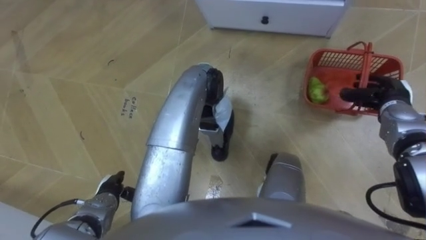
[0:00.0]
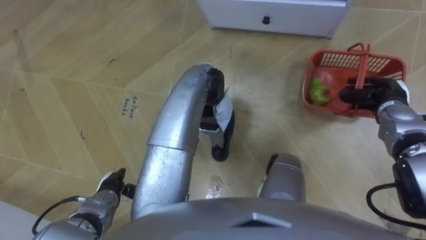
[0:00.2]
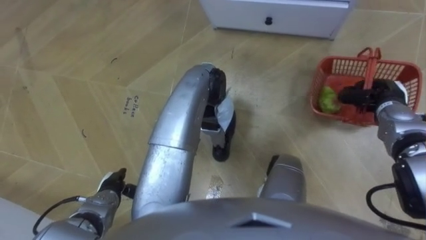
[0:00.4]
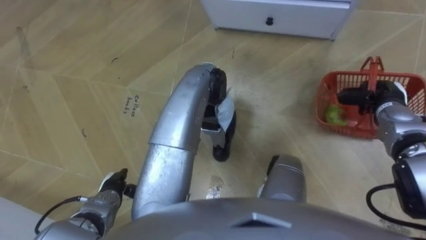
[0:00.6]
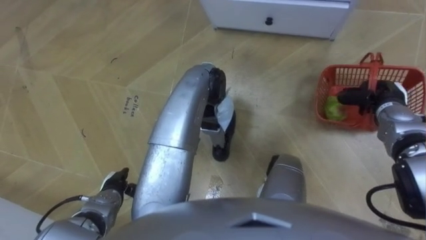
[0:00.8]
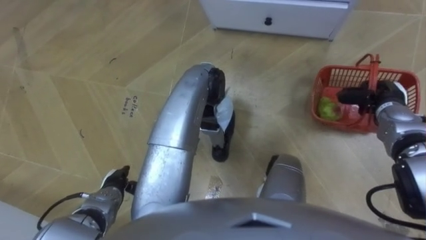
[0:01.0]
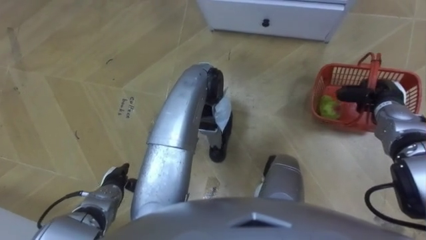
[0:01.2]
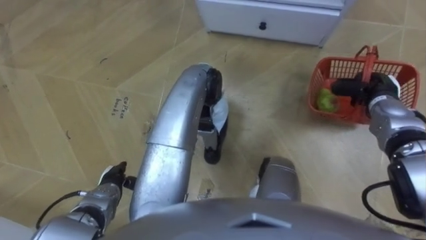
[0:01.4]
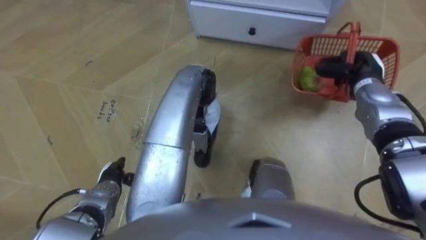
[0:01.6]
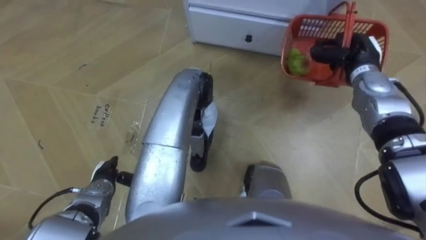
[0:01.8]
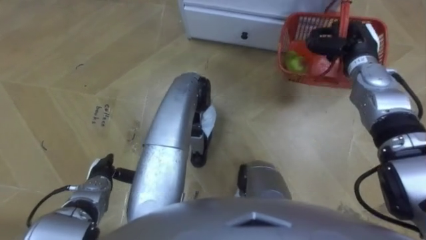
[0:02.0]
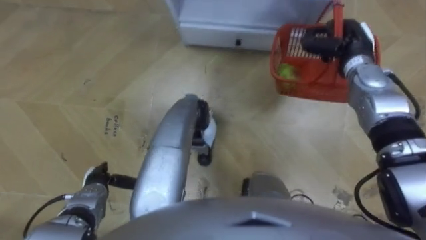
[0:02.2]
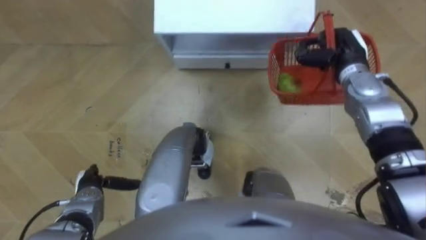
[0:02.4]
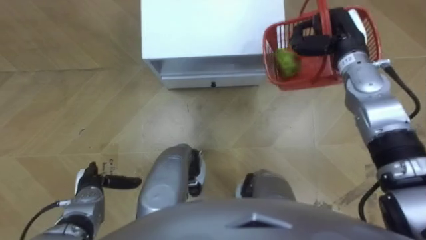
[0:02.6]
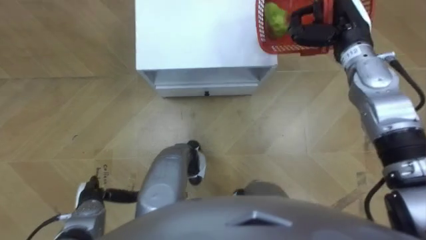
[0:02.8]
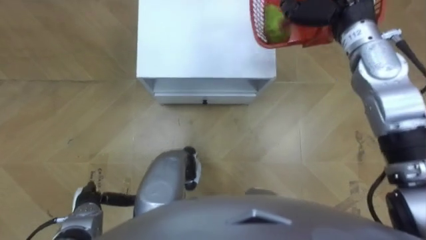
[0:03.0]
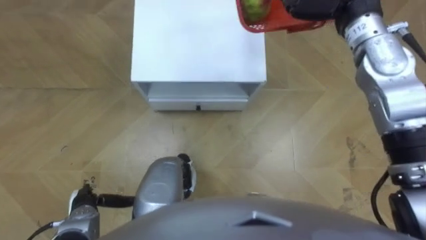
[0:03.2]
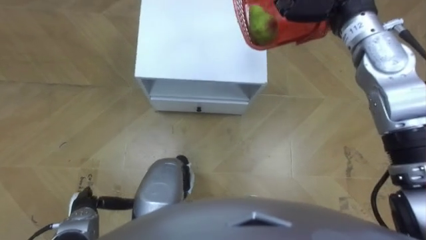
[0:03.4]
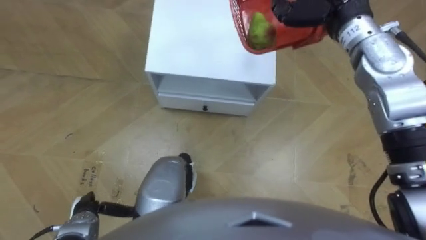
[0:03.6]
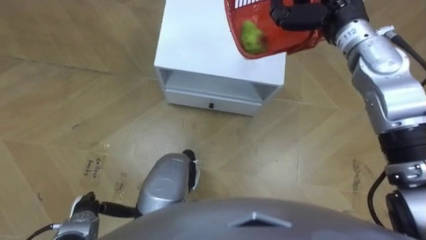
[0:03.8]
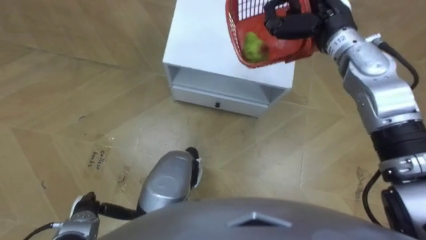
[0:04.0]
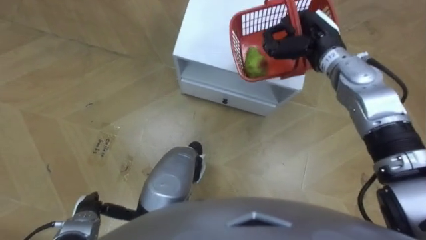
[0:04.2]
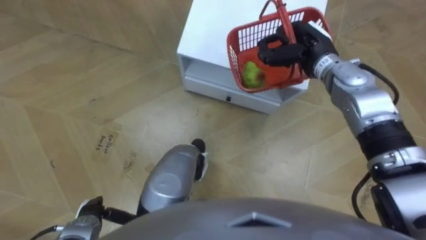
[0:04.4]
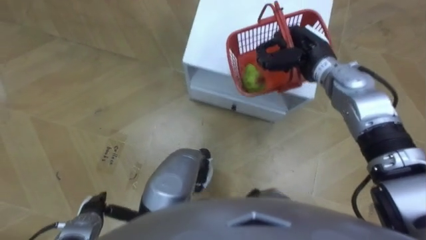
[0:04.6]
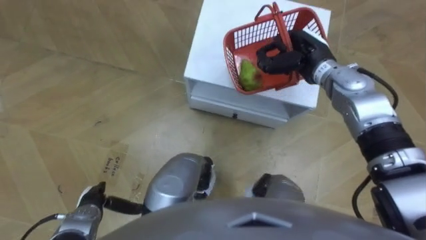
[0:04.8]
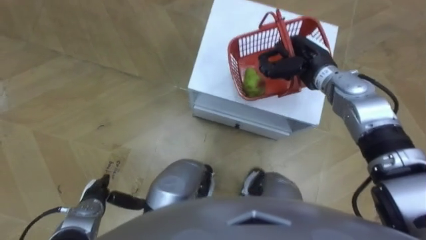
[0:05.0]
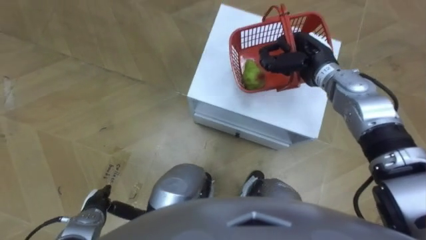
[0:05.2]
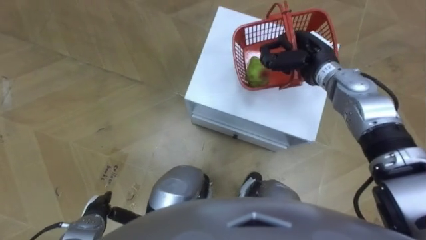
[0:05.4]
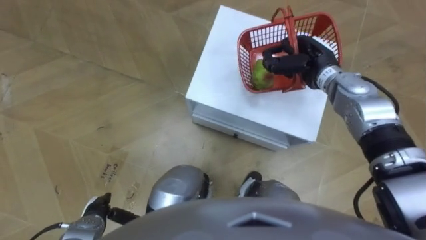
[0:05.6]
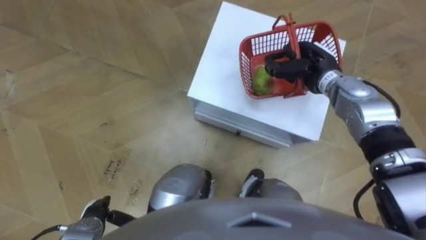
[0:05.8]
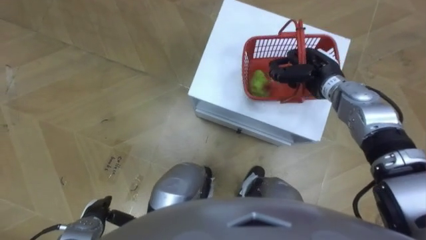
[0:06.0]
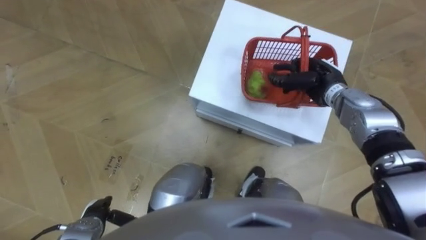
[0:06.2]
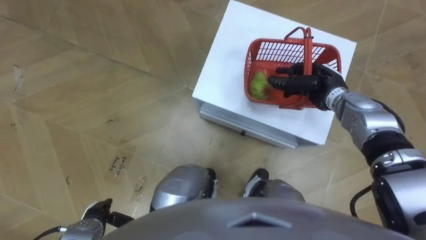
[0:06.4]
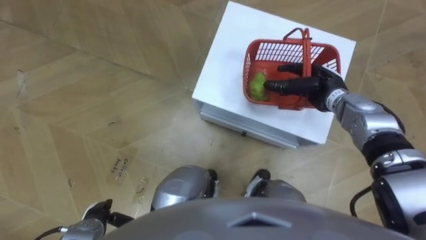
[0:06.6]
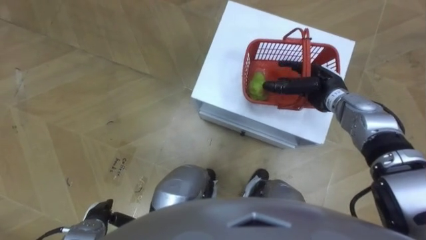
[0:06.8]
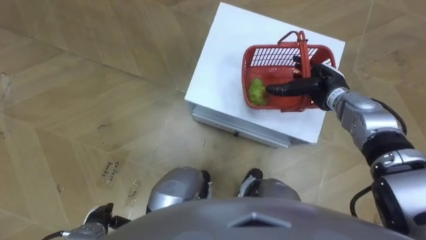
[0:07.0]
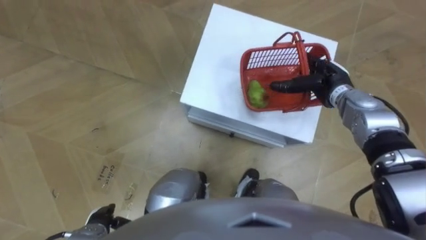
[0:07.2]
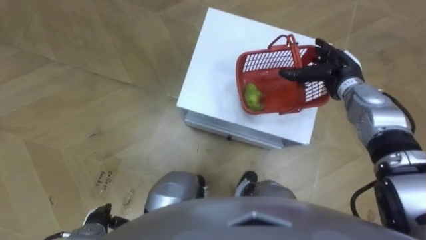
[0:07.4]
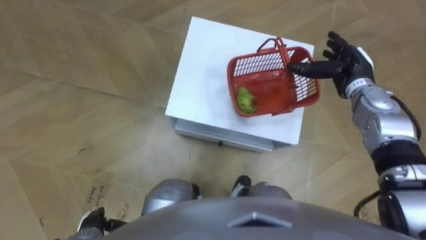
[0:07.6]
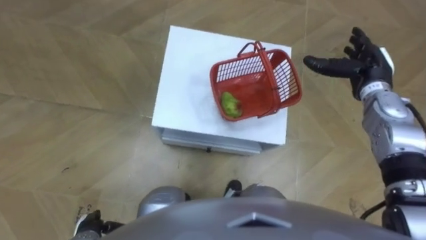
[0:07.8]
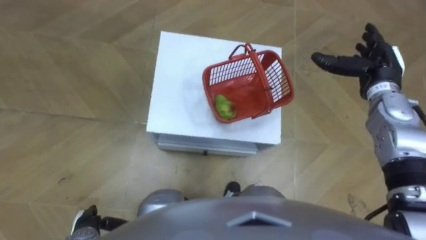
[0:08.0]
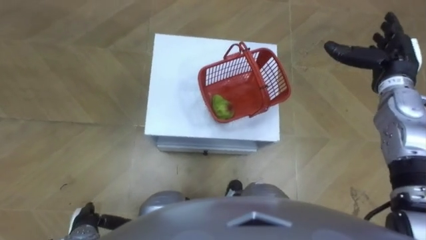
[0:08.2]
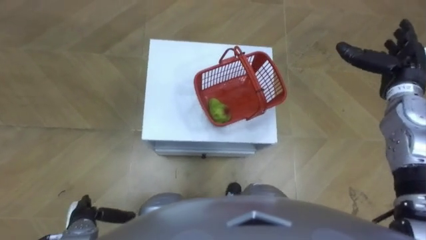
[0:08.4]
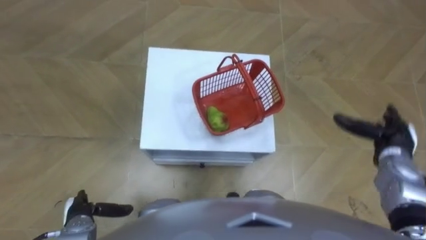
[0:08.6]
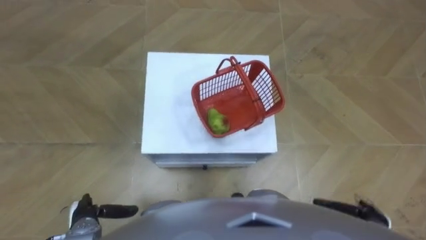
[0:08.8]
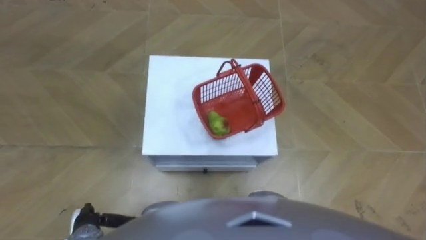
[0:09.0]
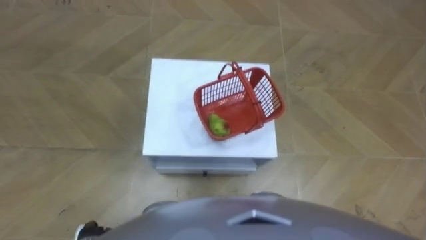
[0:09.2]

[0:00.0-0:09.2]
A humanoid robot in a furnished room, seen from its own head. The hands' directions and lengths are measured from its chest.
Task of the whole recording: Pick up the fruit basket from the floor and place it on the cabinet.
0:00.0 to 0:01.6: The right hand travels to the left by some 5 cm, and closes its fingers.
0:01.6 to 0:03.0: The right hand goes approximately 20 cm upward and to the left. Meanwhile the left hand shifts some 5 cm backward.
0:04.6 to 0:06.2: The right hand heads downward, covering about 5 cm.
0:06.2 to 0:07.6: The right hand moves some 5 cm, and opens up.

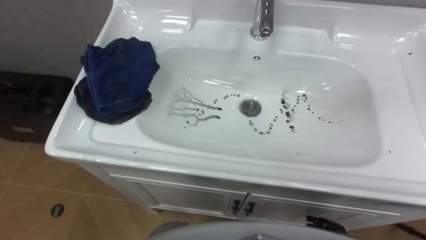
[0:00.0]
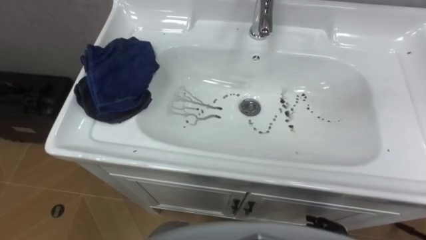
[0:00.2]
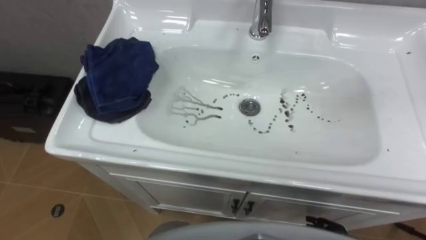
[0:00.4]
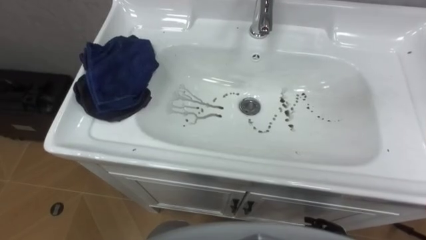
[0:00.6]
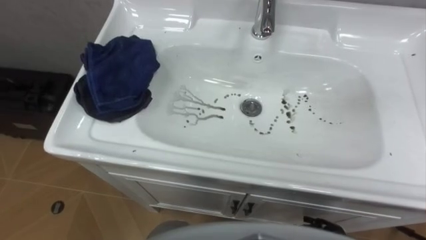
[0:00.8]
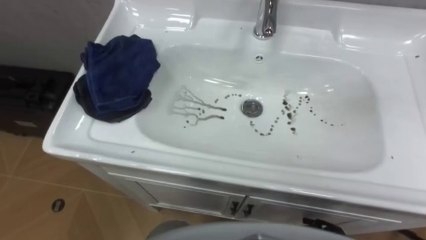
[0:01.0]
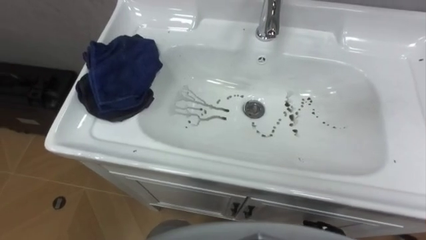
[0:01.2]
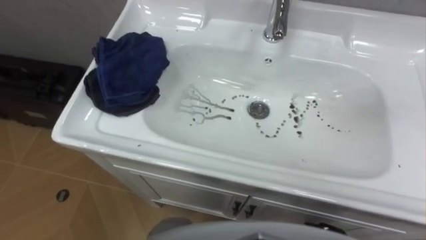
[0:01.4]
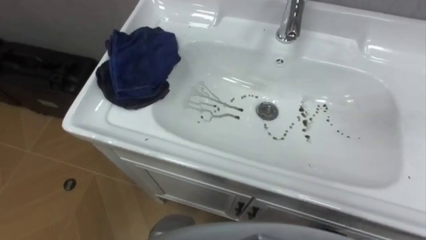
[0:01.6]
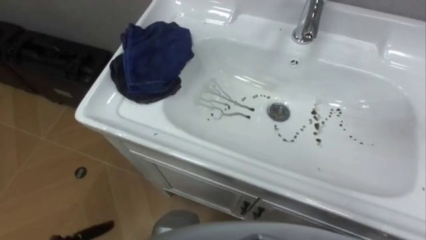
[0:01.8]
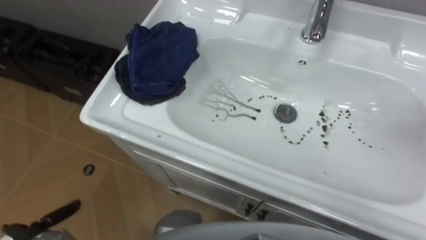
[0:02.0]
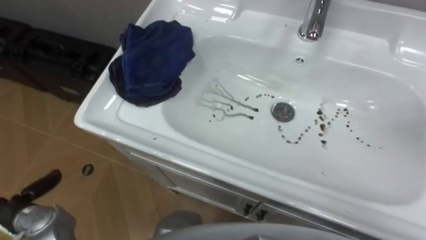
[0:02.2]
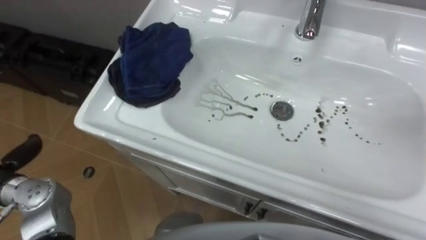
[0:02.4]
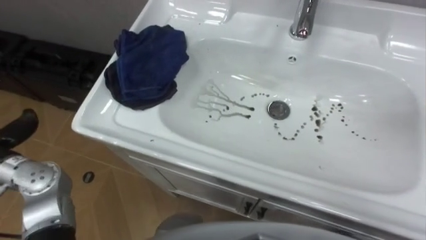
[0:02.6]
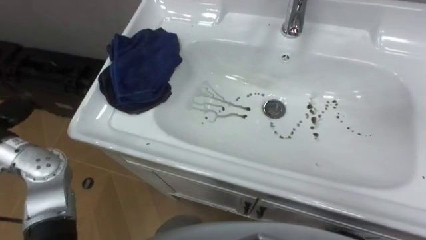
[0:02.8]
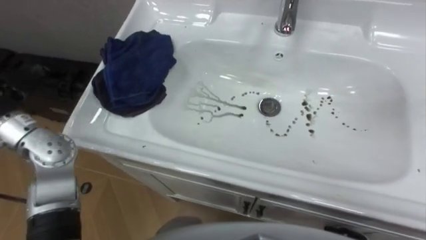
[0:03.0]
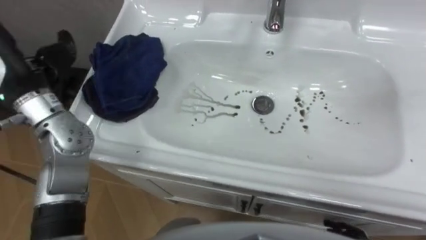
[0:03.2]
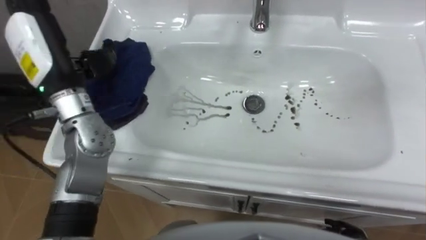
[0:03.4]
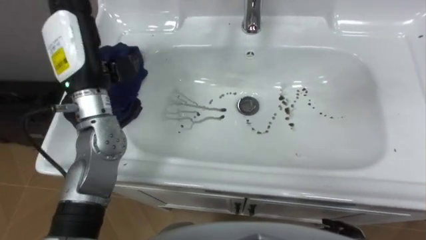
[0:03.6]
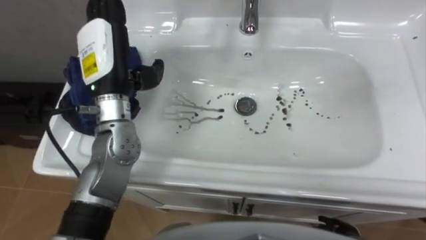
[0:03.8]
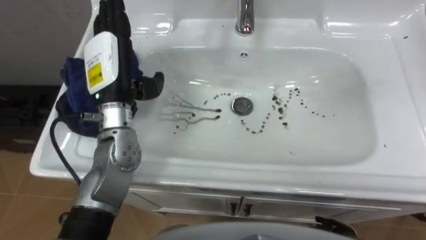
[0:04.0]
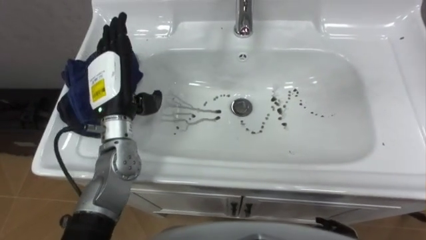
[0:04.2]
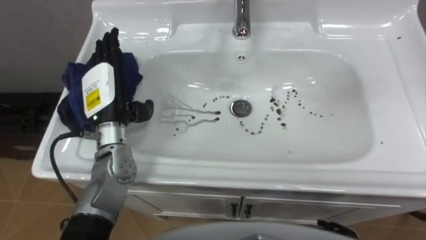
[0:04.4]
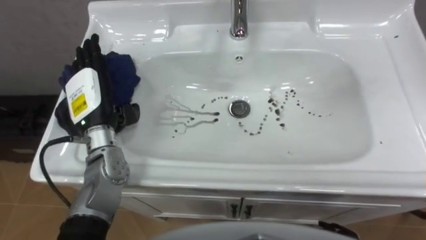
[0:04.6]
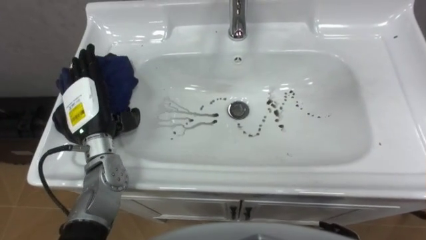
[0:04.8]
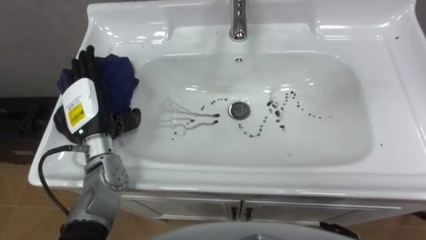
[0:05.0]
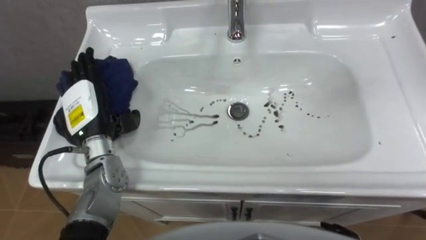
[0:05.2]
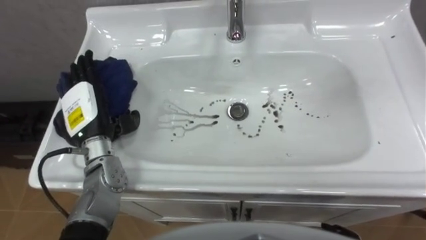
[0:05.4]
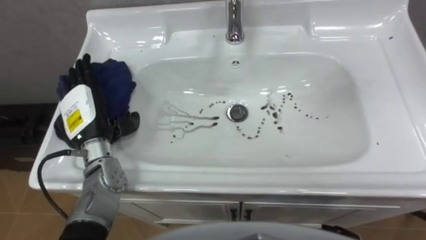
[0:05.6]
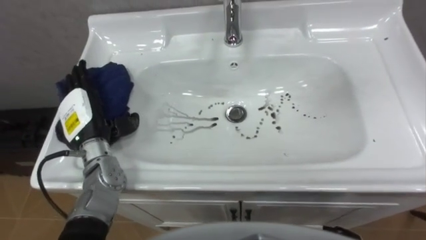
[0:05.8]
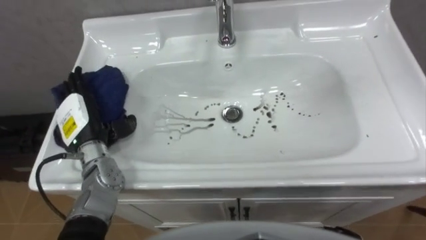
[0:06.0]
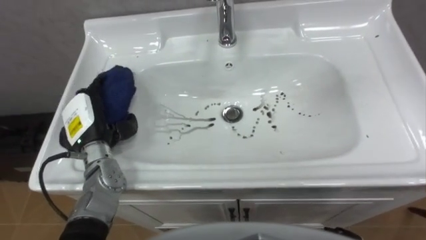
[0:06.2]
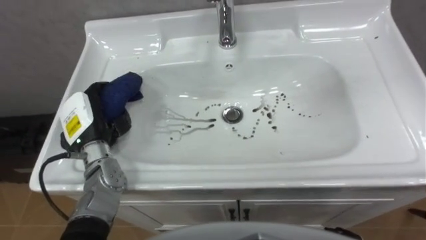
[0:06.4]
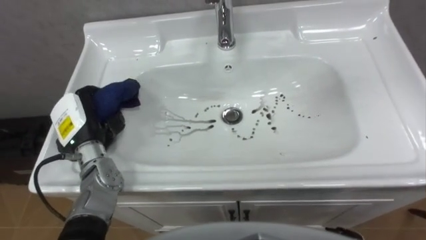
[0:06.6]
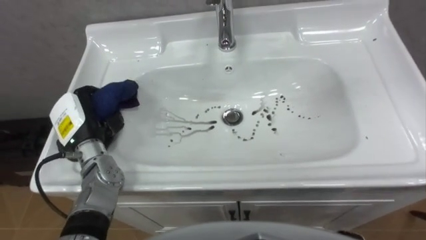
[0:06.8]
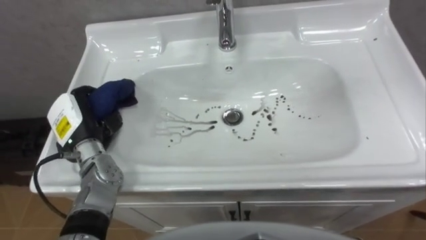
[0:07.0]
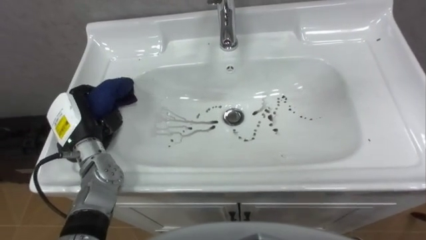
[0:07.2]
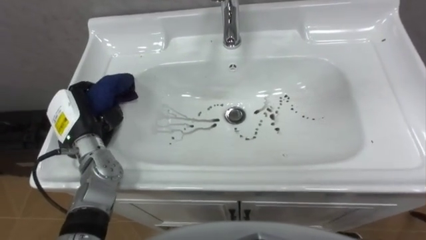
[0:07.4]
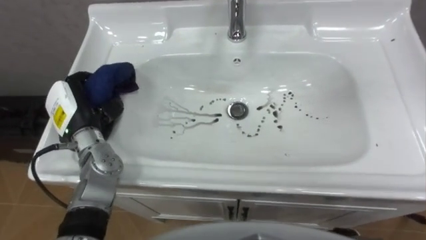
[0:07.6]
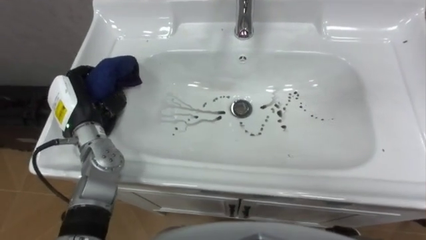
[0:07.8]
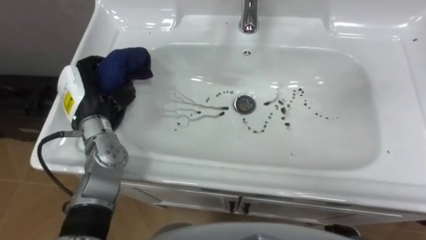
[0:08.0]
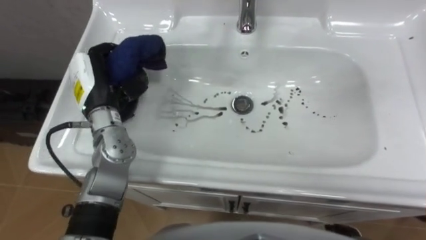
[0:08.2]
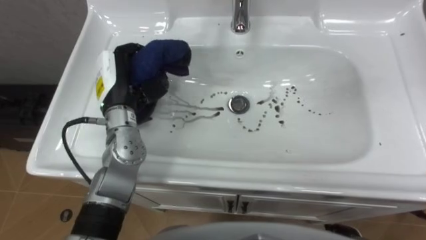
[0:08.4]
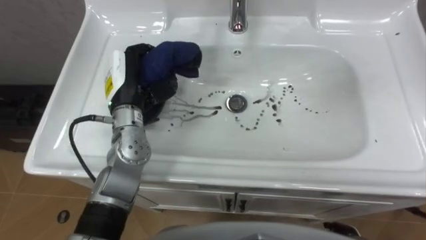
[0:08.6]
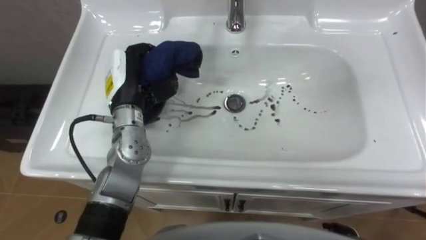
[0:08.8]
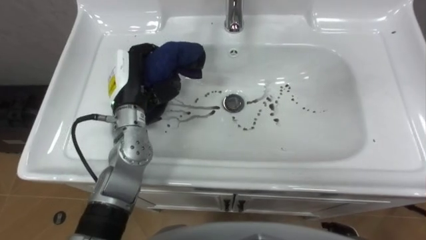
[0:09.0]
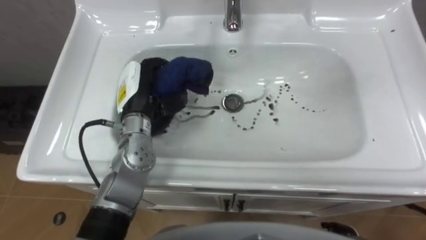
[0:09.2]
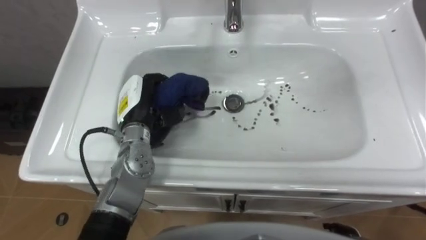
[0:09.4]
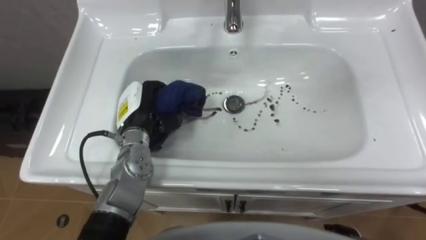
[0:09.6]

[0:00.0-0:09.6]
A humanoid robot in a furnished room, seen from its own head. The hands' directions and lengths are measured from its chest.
Task of the whole recording: Use the cloth on the right to wipe away the black stain in the sink.
0:04.8 to 0:06.4: The left hand shifts by roughly 5 cm, and closes.
0:06.4 to 0:08.0: The left hand is displaced upward by roughly 5 cm.
0:08.0 to 0:09.6: The left hand goes some 10 cm to the right.
